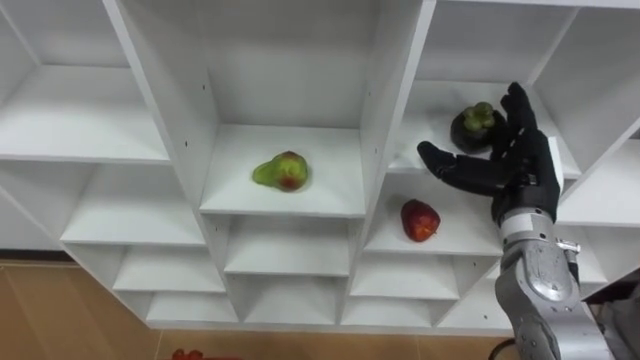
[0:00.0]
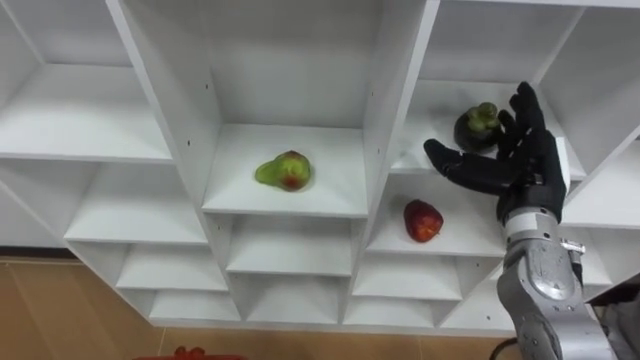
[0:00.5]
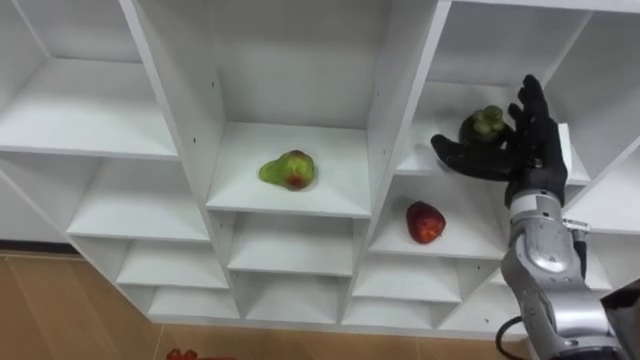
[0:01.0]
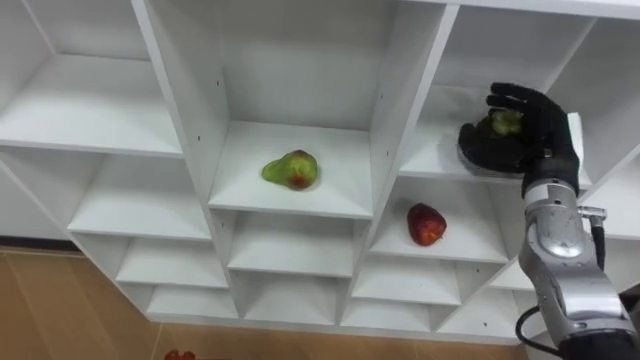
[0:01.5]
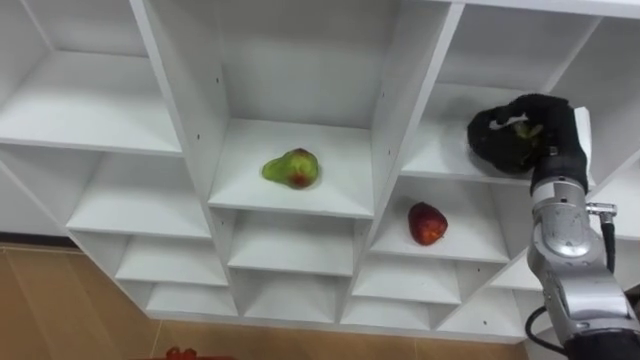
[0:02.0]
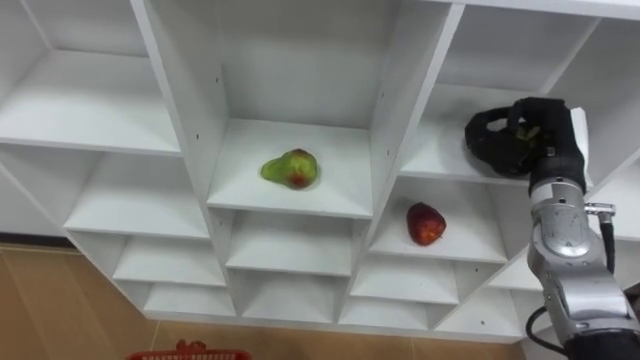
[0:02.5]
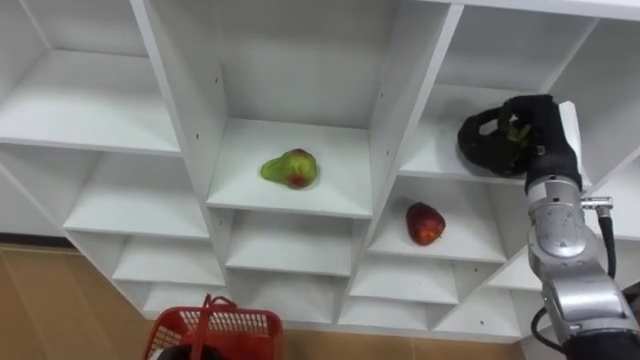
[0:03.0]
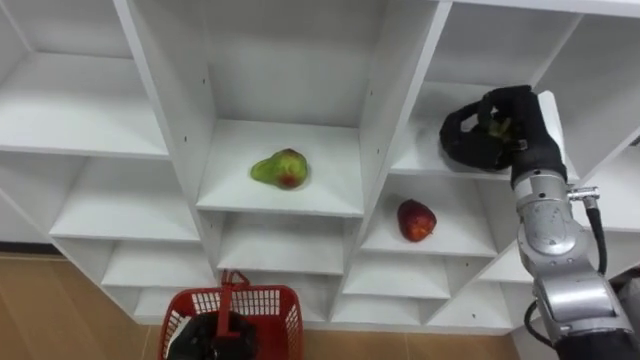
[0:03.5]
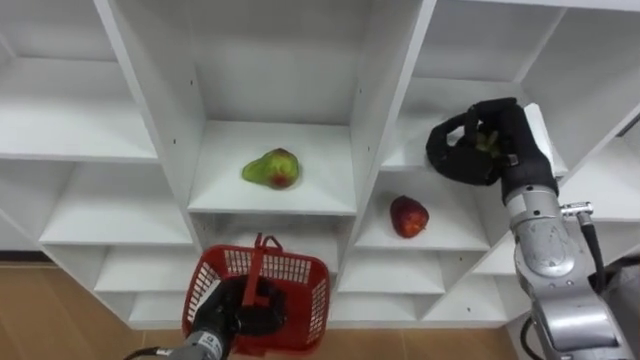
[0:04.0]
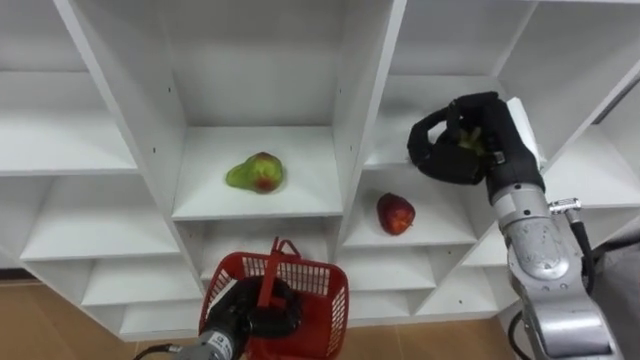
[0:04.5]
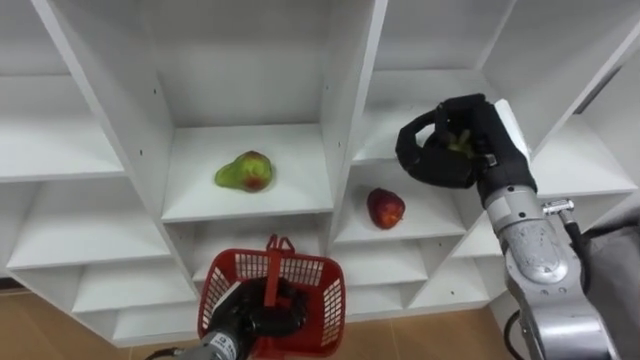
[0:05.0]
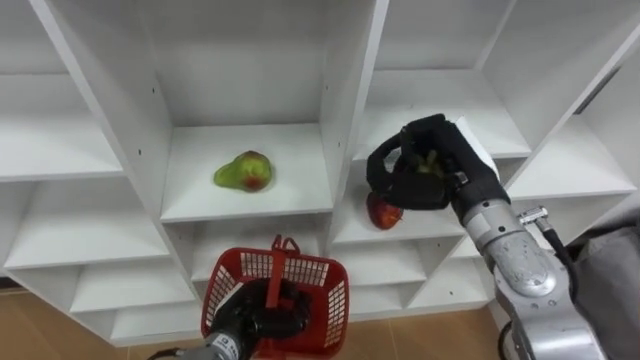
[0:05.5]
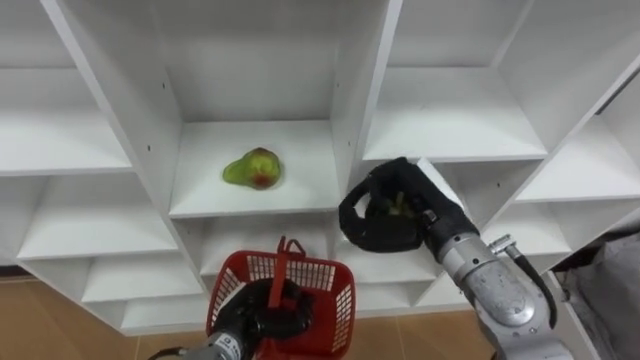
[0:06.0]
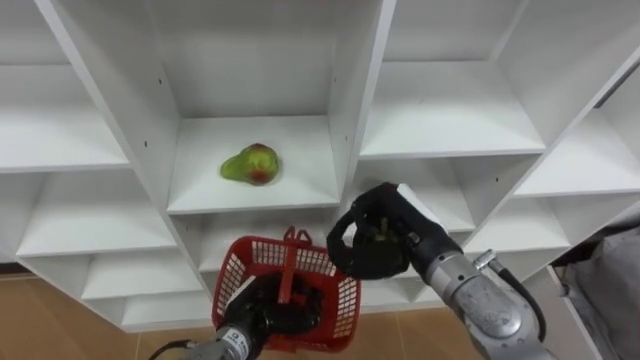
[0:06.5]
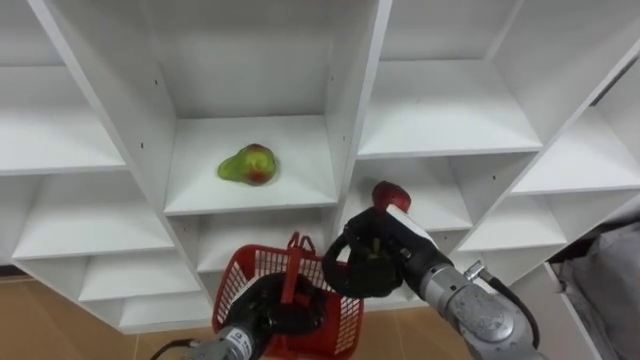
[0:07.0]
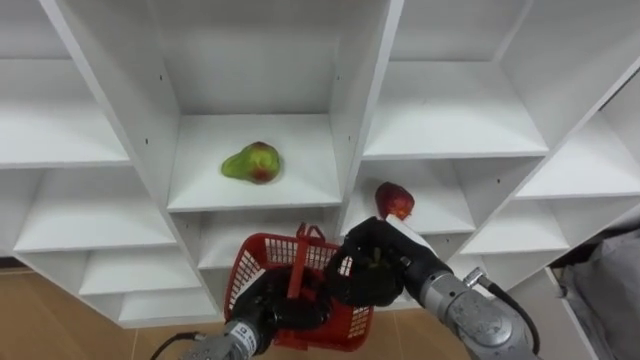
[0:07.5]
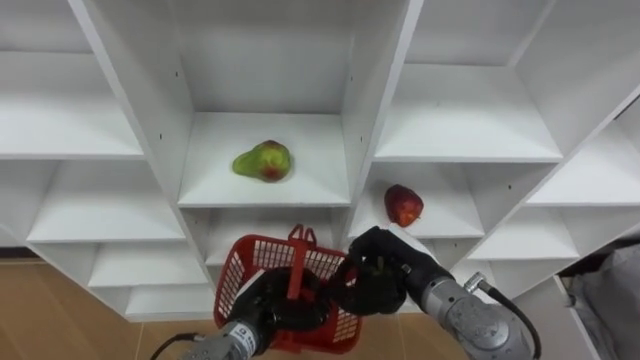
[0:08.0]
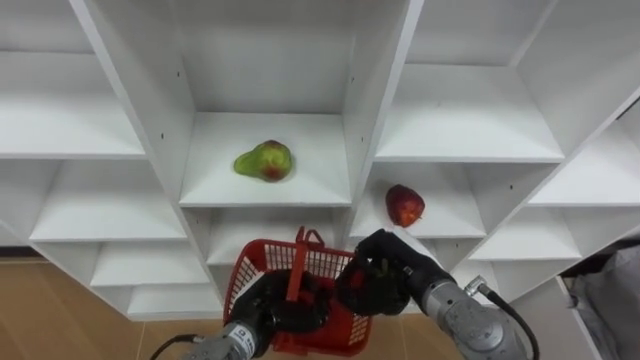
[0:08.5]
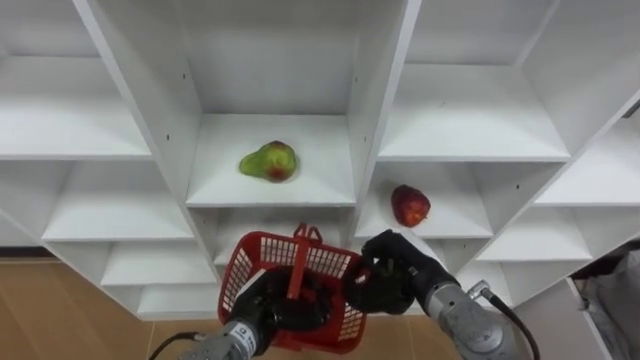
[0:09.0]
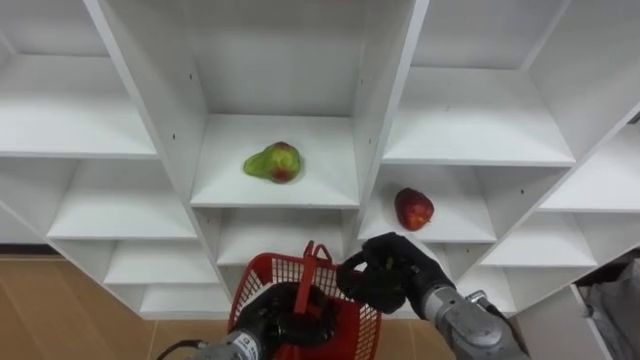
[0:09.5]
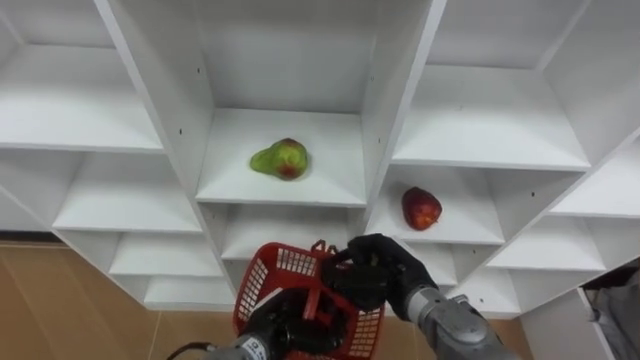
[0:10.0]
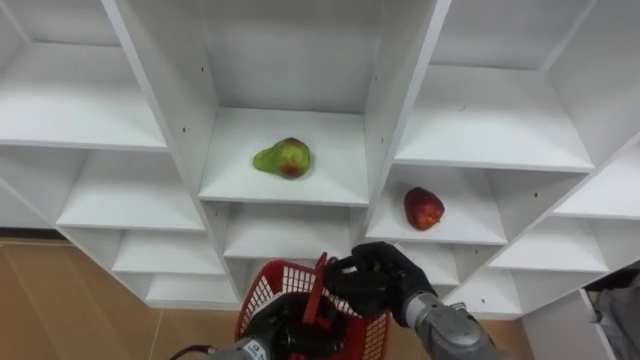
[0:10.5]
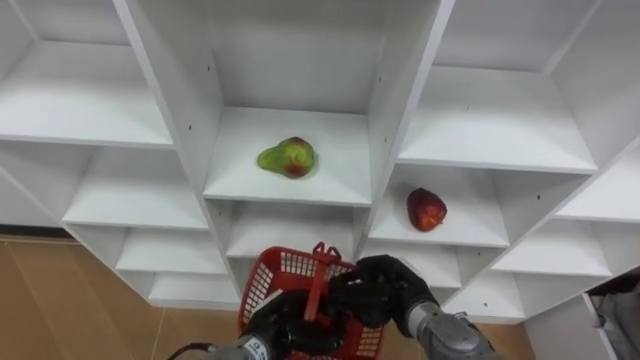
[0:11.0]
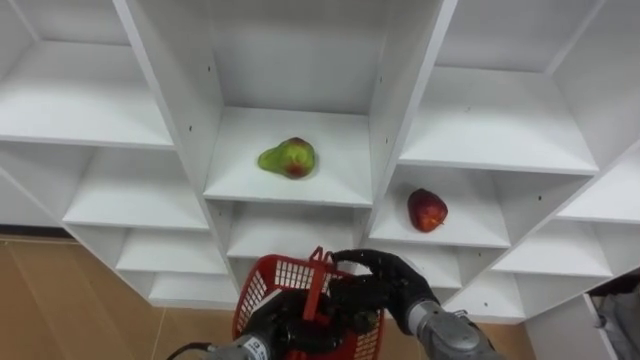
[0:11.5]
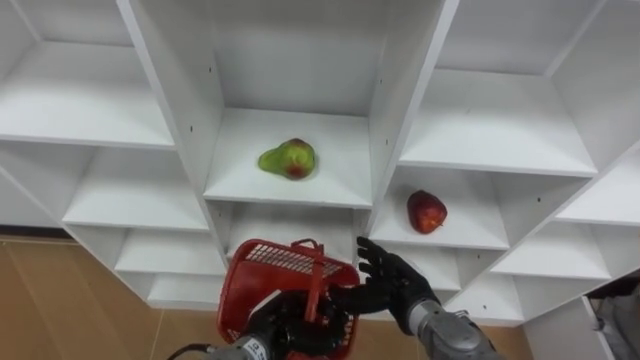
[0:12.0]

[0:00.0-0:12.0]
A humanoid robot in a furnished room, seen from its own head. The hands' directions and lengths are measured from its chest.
Task of the whole recording: Hold the basket and collect the fruits from 3 different cells of the closet into it.
0:00.0 to 0:02.0: The right hand changes place by about 5 cm, and closes.
0:02.0 to 0:04.0: The right hand shifts by roughly 5 cm.
0:04.0 to 0:06.0: The right hand is displaced to the left by some 10 cm.
0:06.0 to 0:08.0: The right hand shifts approximately 10 cm downward.
0:10.0 to 0:12.0: The right hand opens its fingers.

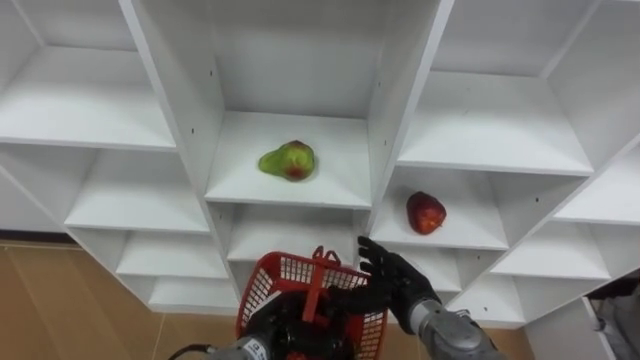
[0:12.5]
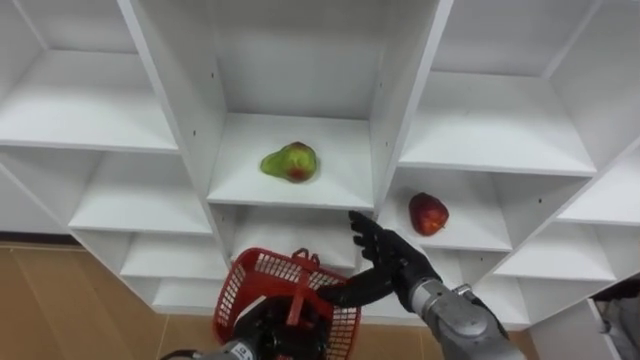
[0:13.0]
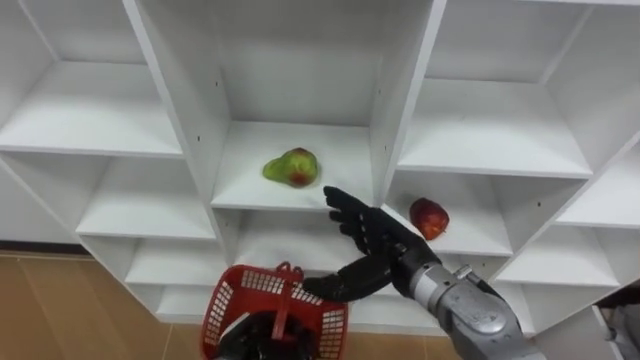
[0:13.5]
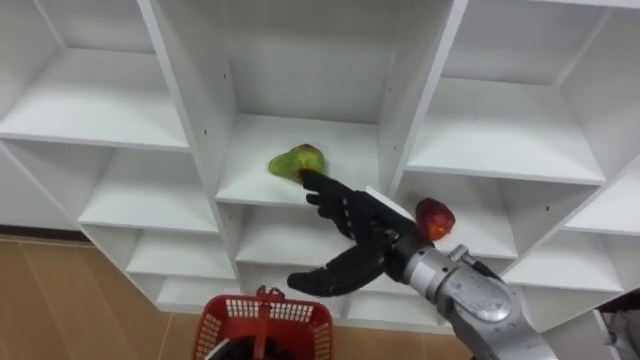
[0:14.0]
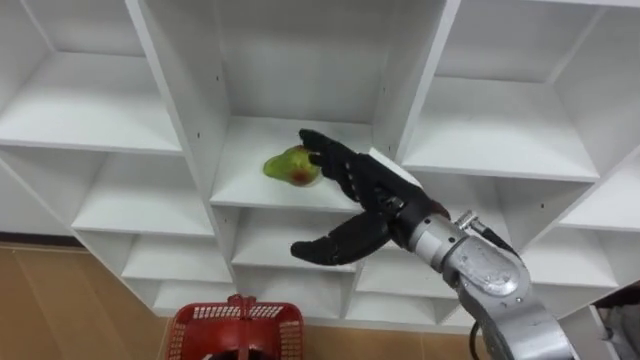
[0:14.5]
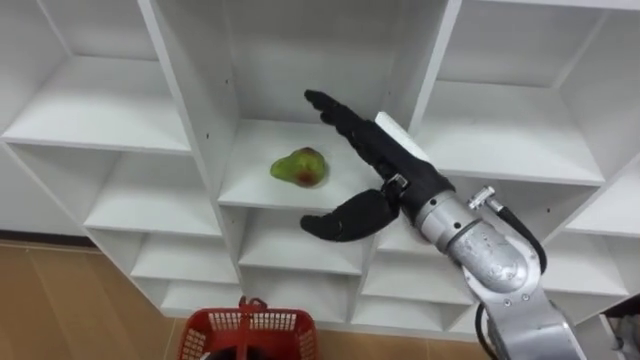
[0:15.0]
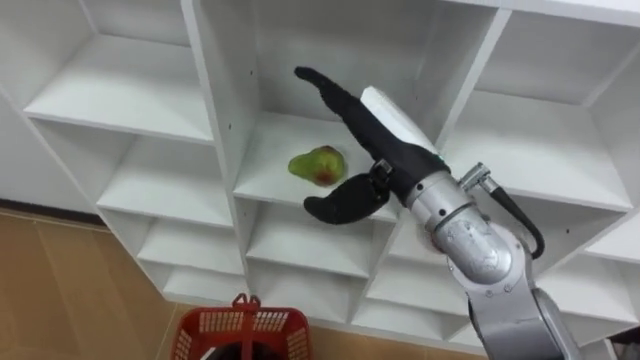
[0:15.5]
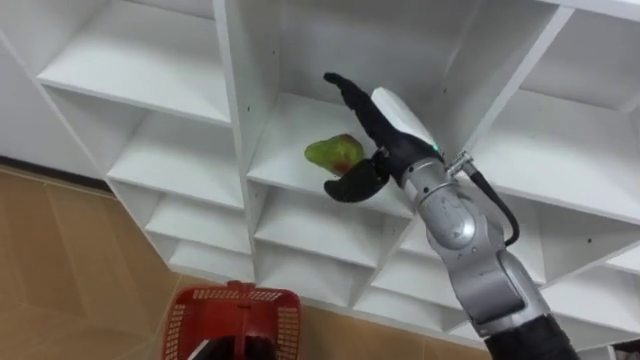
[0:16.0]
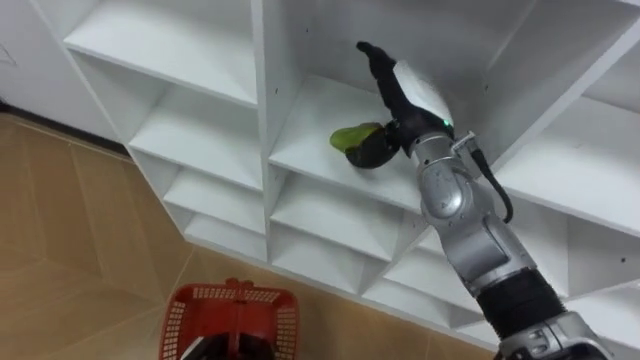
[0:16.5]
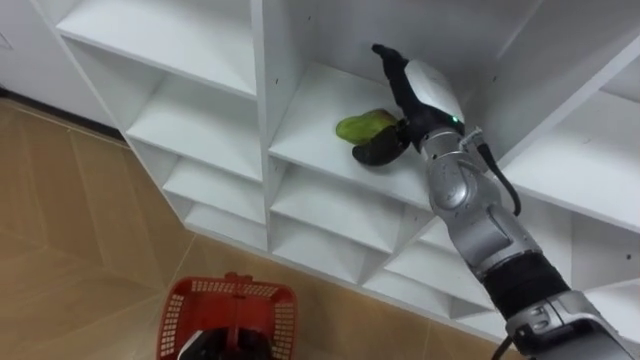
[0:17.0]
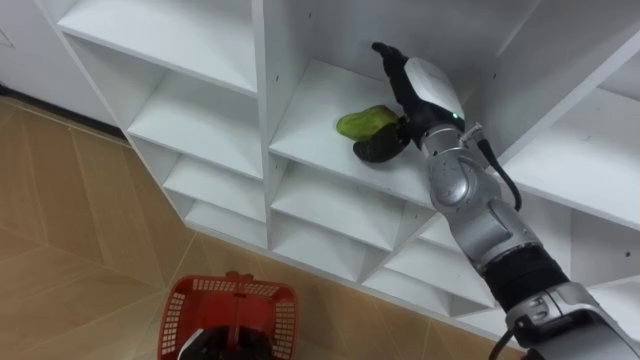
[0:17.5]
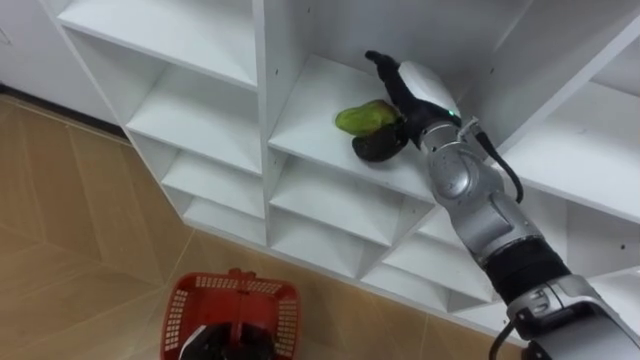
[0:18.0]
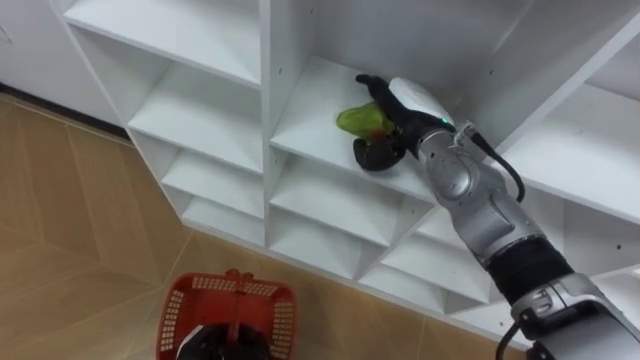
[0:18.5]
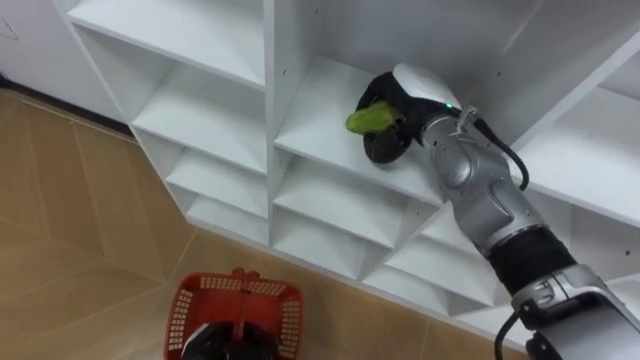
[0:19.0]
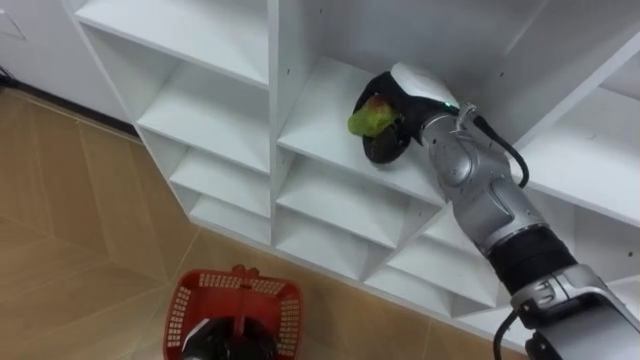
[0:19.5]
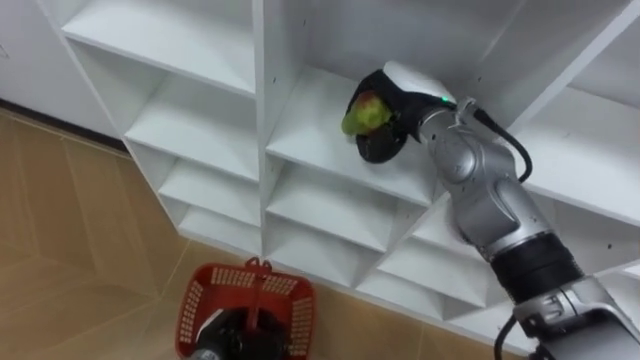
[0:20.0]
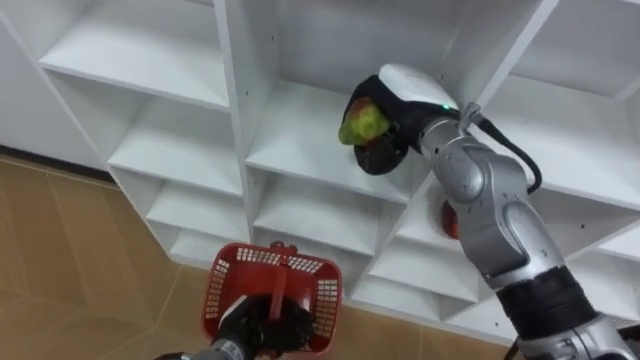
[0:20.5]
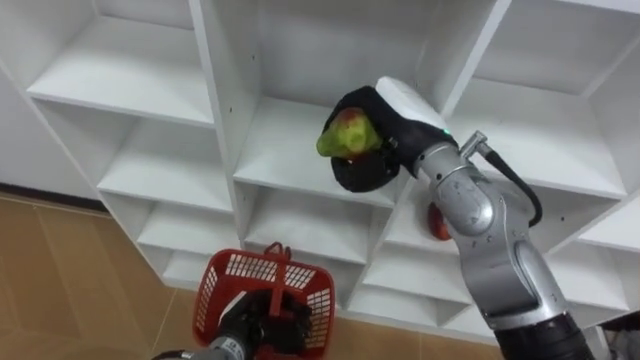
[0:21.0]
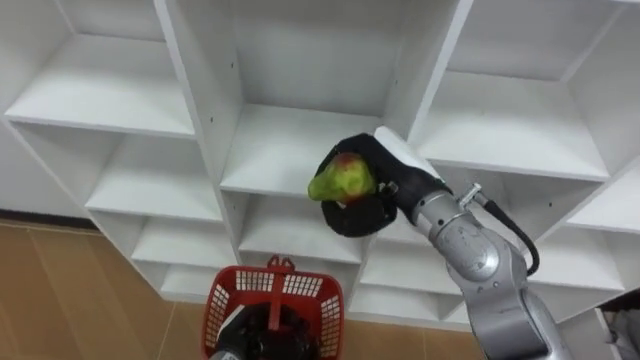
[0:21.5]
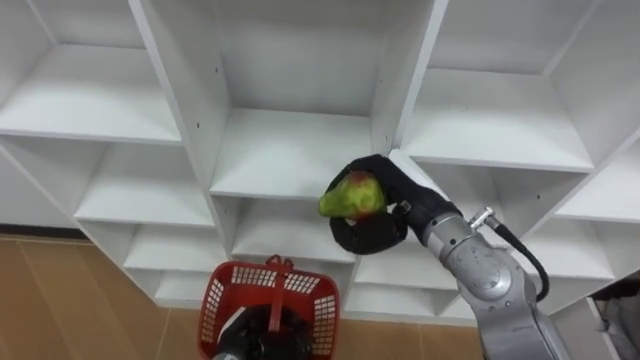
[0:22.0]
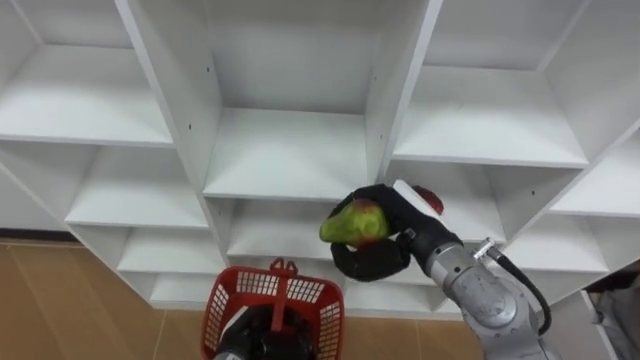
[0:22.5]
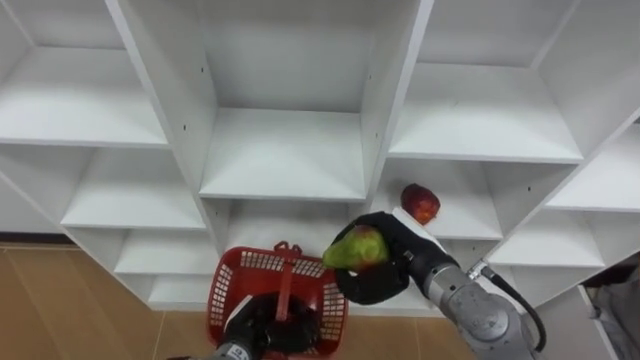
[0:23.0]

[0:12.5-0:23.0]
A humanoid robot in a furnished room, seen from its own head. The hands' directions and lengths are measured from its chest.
Task of the whole recording: Hold the basket and collect the fruits from 3 different cells of the closet into it.
0:12.5 to 0:14.5: The right hand goes some 15 cm upward.
0:14.5 to 0:16.5: The right hand shifts some 10 cm forward.
0:16.5 to 0:19.0: The right hand closes.
0:19.0 to 0:21.0: The right hand travels backward by about 5 cm. The left hand moves to the right, approximately 5 cm.
0:21.0 to 0:23.0: The right hand shifts some 15 cm downward and backward.
